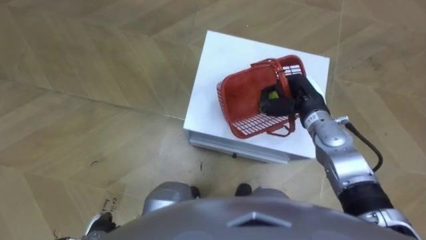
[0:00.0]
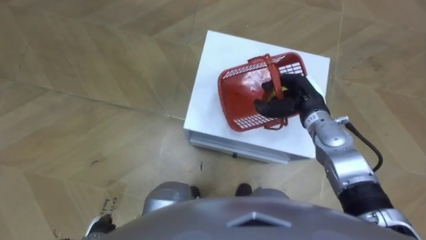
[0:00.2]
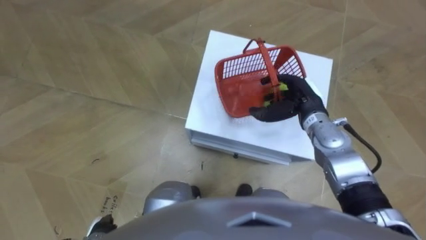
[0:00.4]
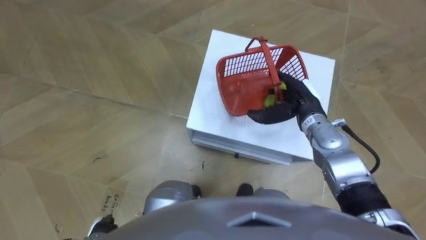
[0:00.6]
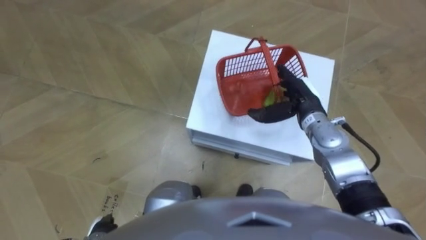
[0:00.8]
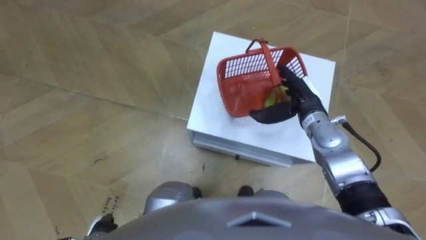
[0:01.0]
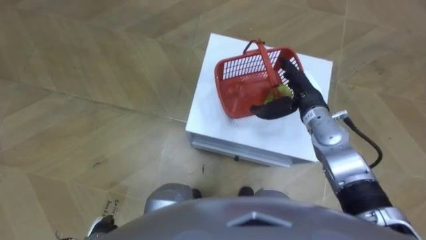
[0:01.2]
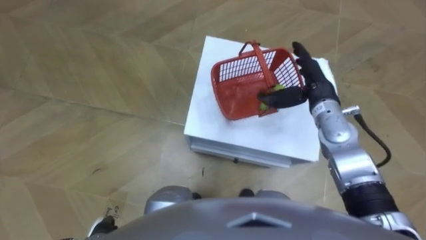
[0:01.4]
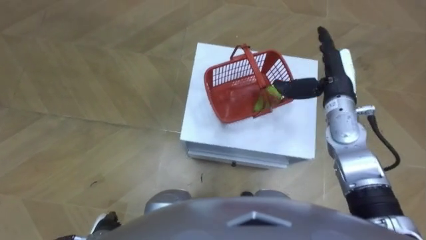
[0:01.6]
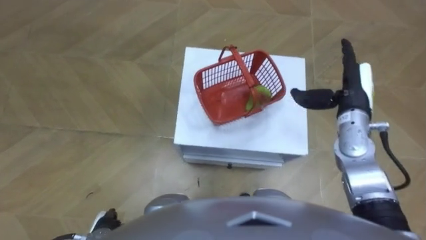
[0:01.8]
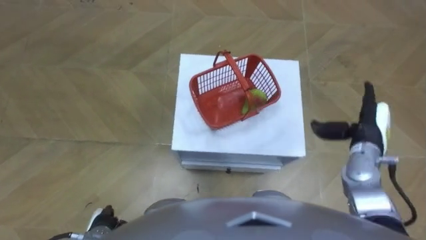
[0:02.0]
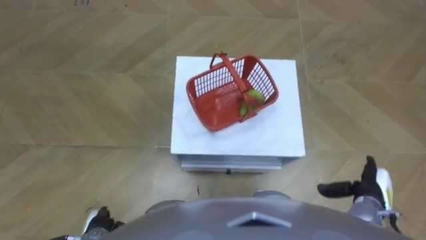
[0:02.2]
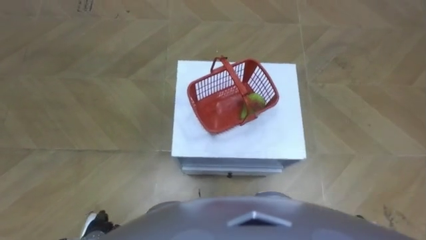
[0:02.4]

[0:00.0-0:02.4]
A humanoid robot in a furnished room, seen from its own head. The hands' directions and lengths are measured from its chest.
Task of the whole recording: Pick up the fruit basket from the floor and place it on the cabinet.
0:00.0 to 0:01.2: The right hand opens up.
0:01.2 to 0:02.4: The right hand moves backward, to the right and downward, approximately 35 cm.

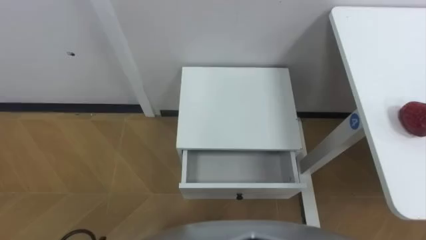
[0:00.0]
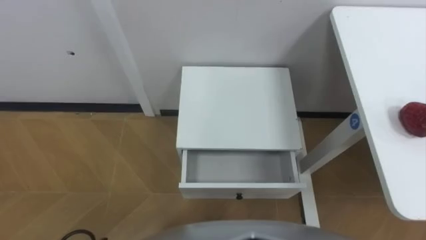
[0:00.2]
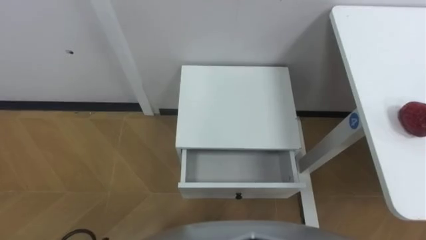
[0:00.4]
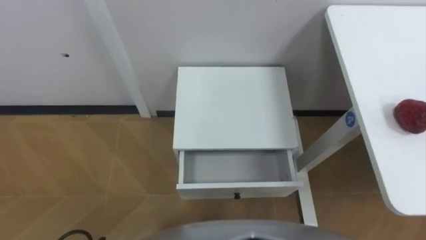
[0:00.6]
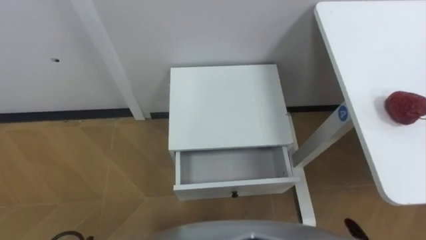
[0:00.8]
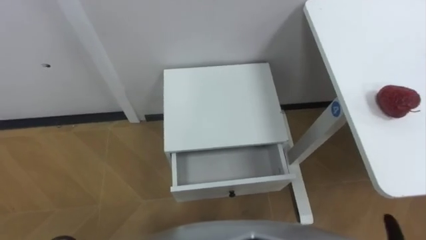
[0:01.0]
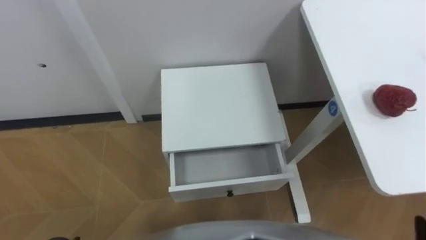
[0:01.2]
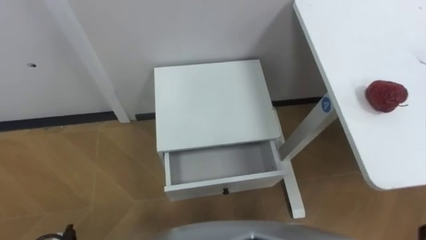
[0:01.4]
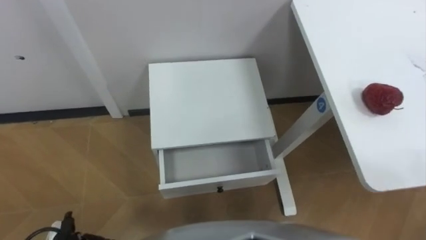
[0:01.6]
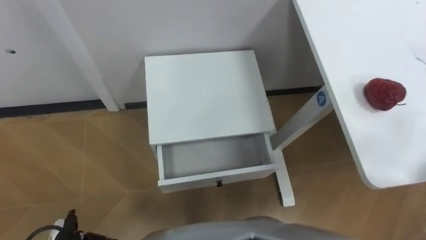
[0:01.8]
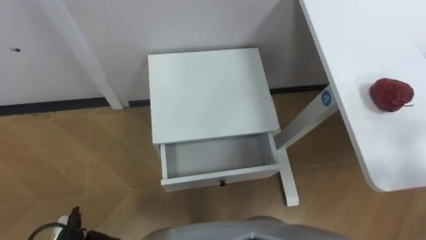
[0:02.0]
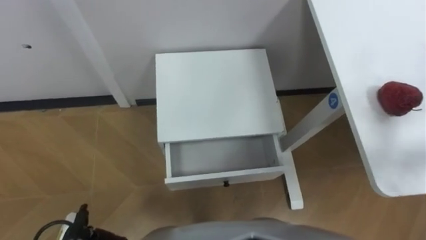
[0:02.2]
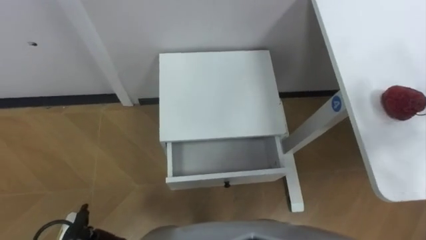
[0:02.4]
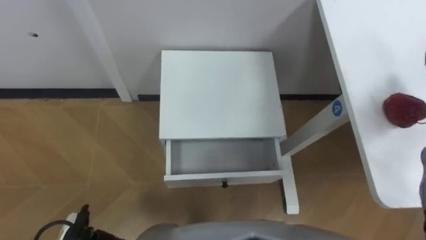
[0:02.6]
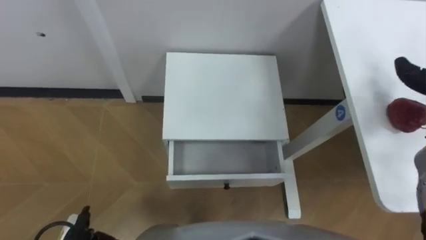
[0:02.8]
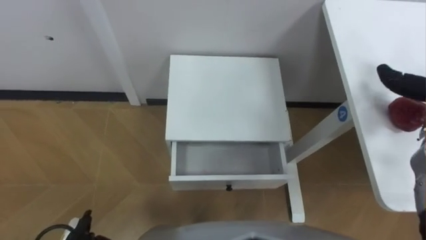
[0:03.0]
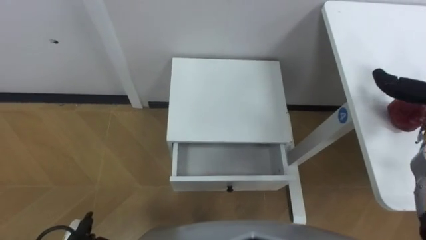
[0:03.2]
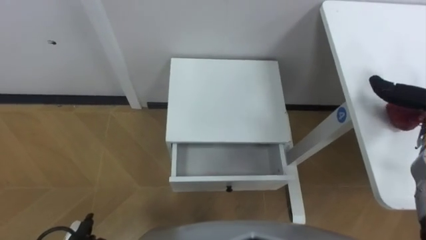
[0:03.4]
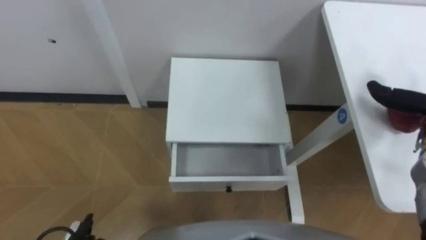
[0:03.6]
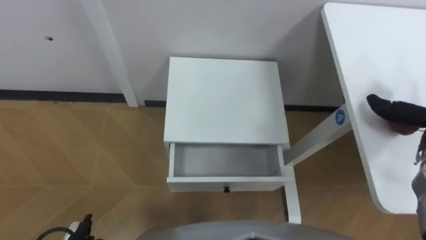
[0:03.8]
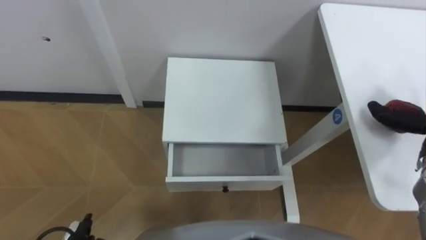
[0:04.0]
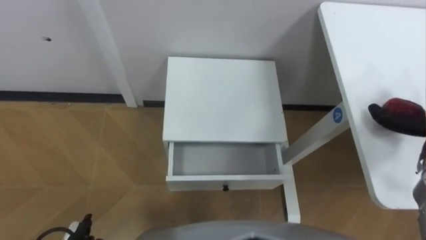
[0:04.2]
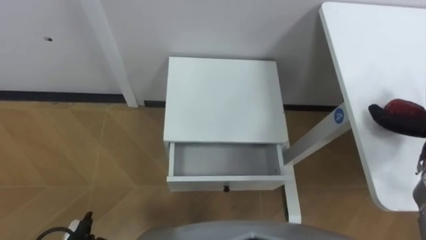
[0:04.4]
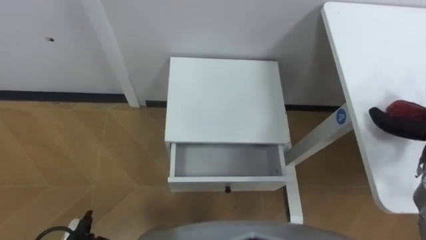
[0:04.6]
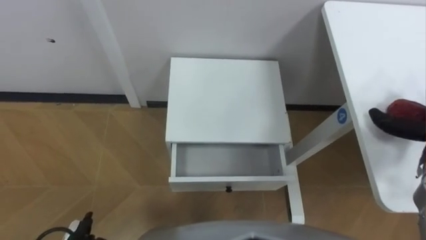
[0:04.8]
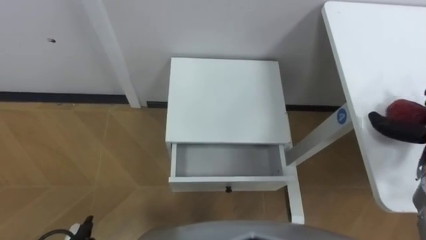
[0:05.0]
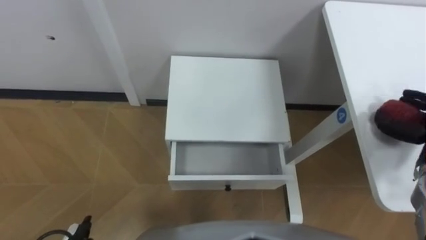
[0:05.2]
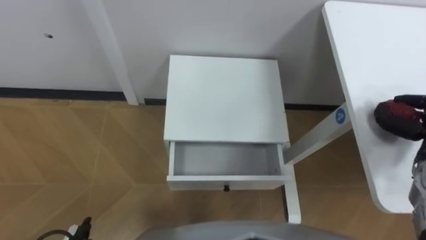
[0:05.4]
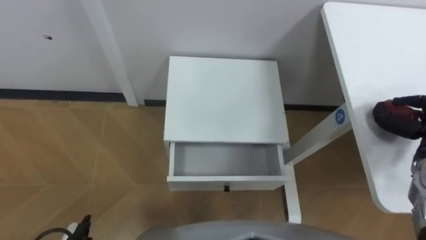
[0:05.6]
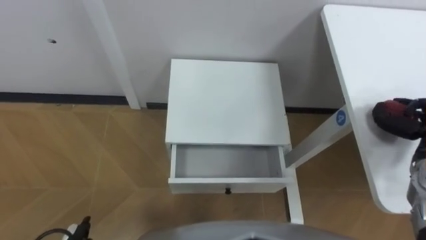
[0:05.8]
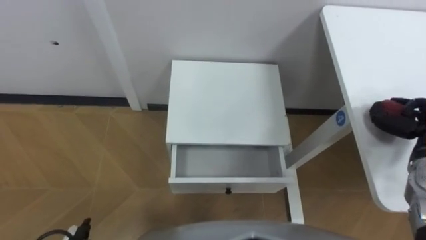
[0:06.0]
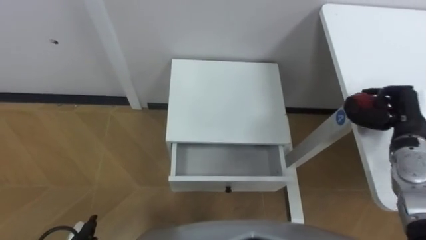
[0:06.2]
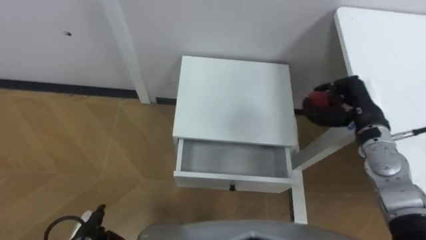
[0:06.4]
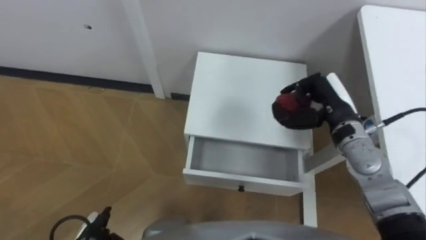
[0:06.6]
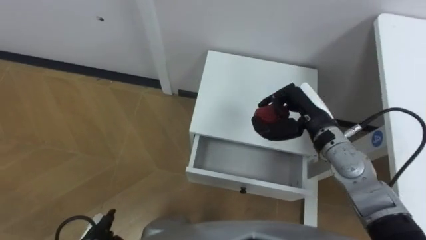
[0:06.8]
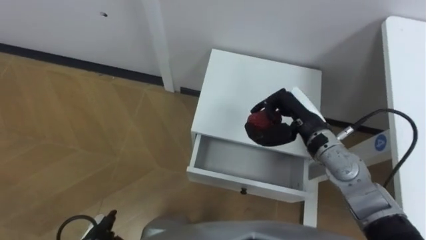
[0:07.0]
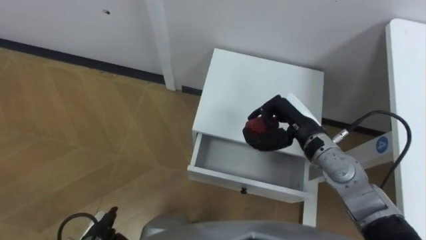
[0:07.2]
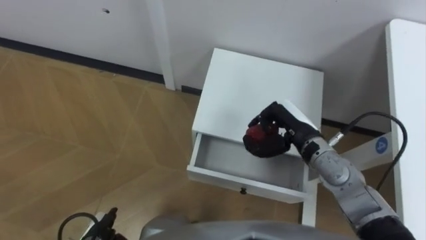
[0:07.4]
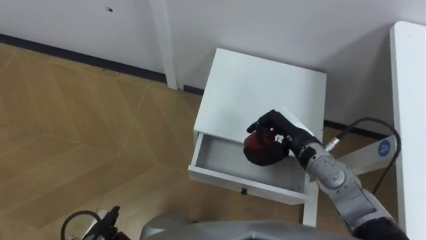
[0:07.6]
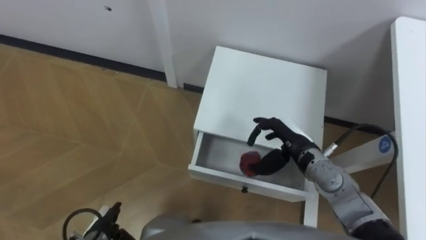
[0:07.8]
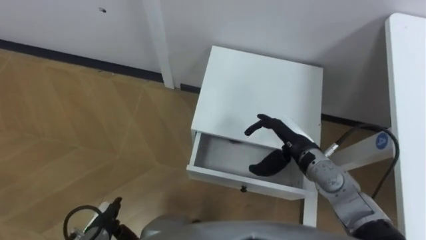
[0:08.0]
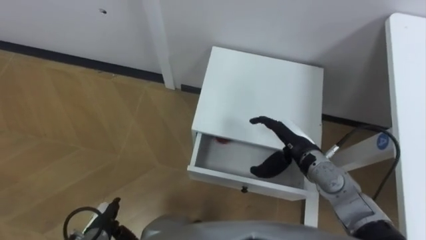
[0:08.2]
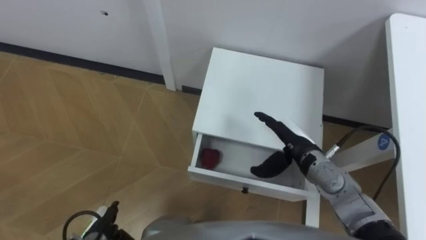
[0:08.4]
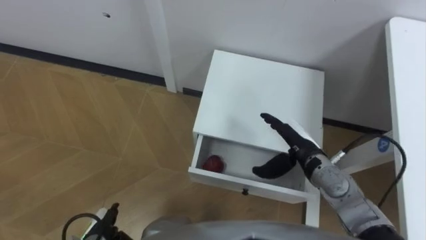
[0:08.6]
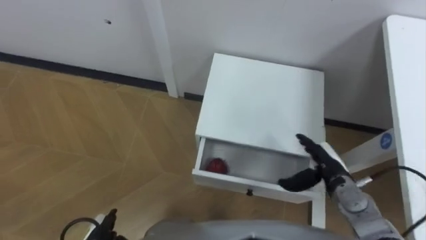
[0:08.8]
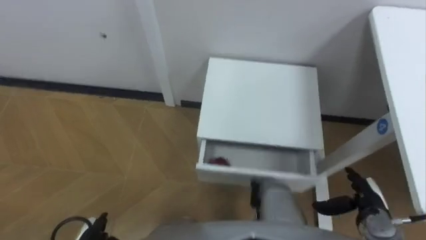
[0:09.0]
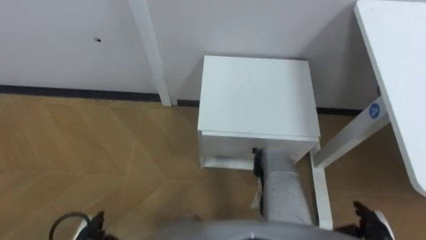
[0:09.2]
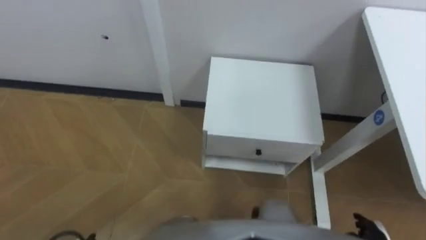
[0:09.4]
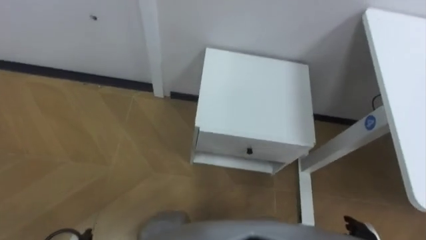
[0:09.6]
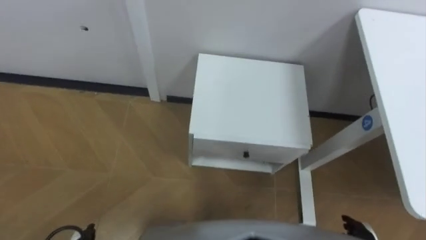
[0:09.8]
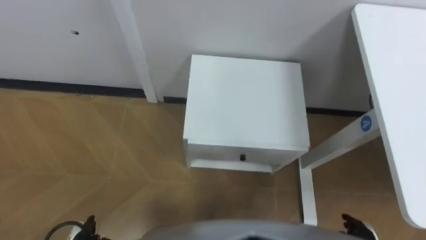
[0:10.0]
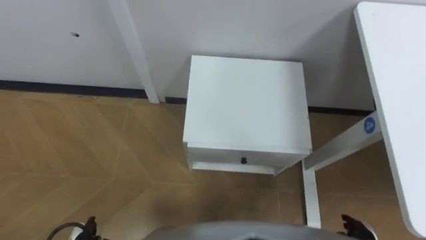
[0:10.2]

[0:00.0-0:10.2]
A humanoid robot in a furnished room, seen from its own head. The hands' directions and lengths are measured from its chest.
Task of the whole recording: Pick up the apple from the table, put it in the drawer, and close the drawer with leg.
0:07.2 to 0:08.8: The right hand travels downward, to the right and backward by about 15 cm, and opens up.
0:08.8 to 0:10.2: The right hand is displaced backward, downward and to the right by some 20 cm.

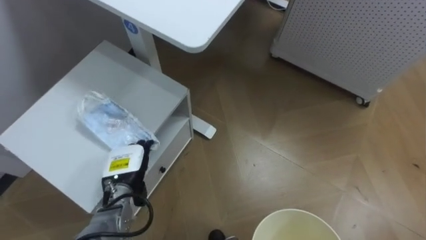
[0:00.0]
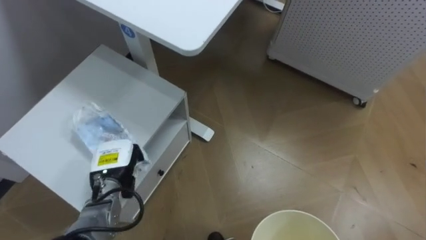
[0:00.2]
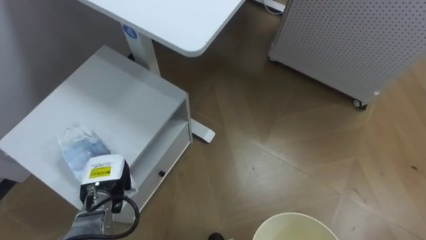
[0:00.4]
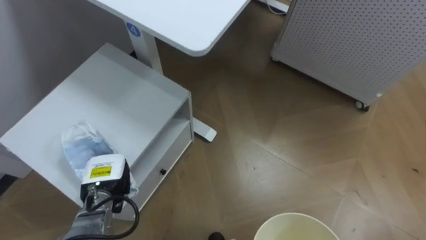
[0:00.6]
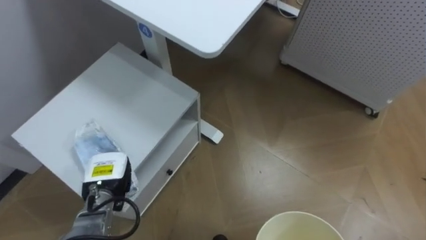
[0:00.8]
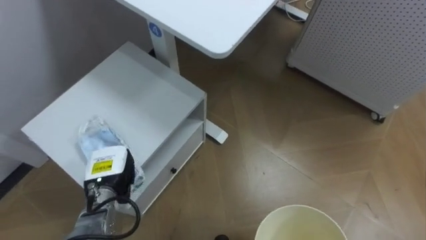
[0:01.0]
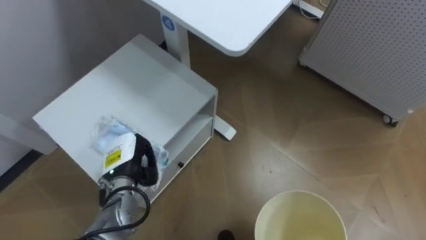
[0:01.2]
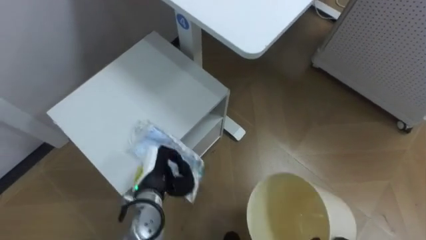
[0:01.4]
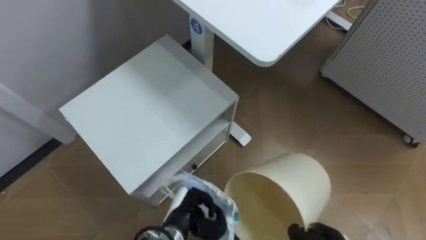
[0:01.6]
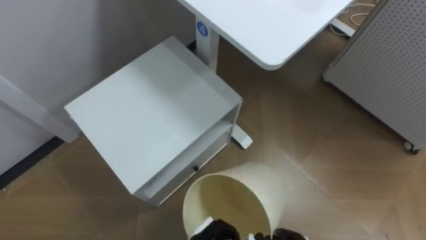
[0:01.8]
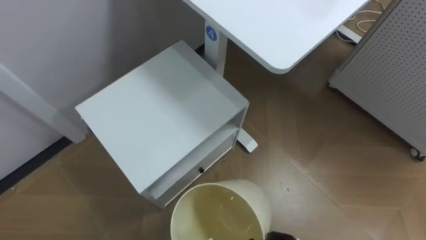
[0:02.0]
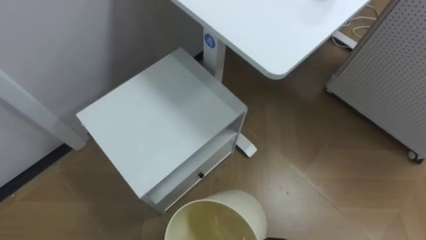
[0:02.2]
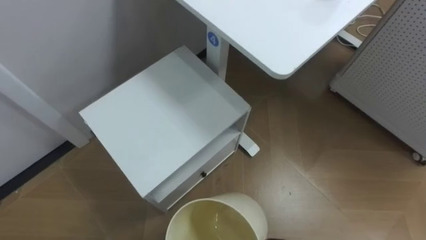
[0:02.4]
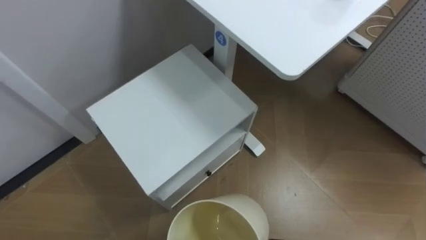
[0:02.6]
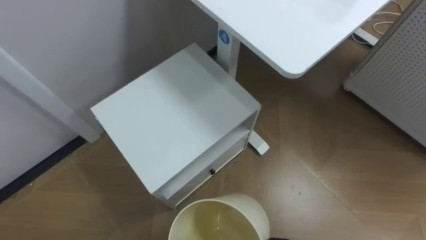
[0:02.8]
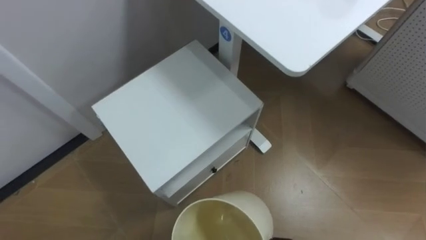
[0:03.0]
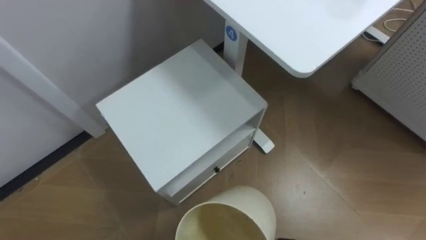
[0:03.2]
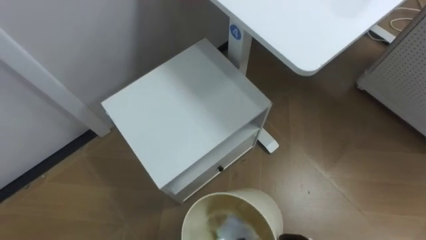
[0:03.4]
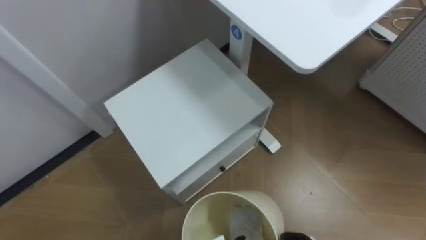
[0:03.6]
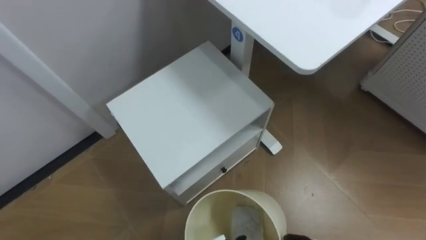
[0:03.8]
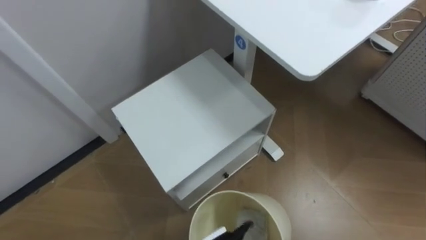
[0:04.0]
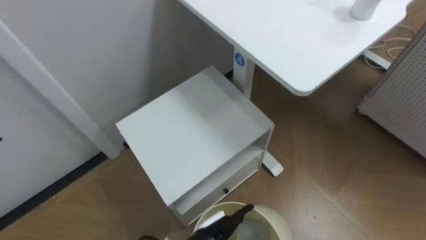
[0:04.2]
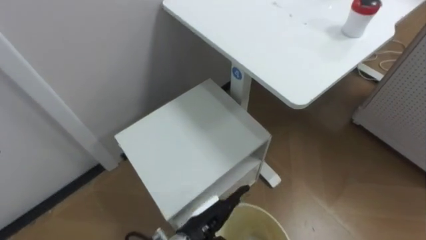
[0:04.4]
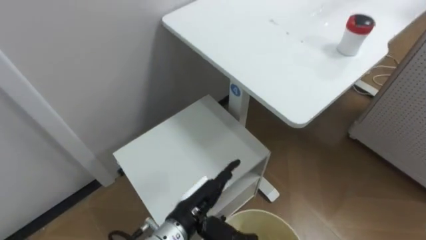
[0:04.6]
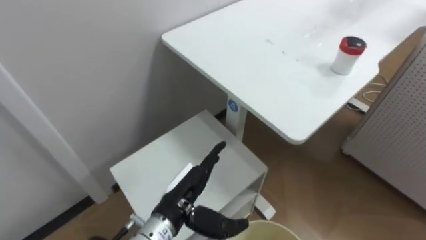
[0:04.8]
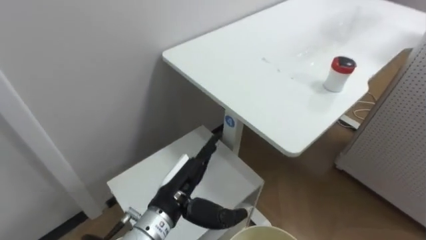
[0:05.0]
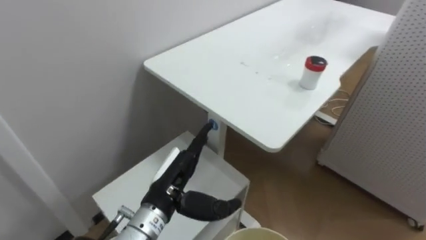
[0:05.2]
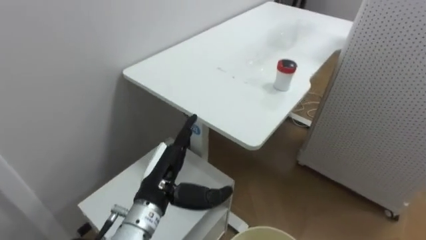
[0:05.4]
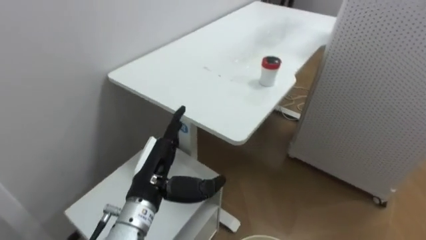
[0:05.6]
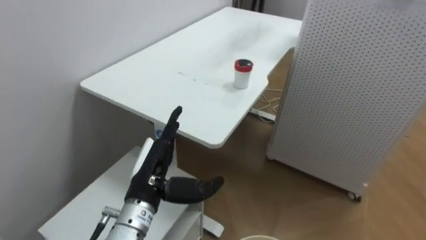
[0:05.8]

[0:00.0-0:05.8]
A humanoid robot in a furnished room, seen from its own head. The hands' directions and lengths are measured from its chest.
Task of the whole recording: Pick up the light blue package, the candy box, and the dark blue package separately, and put them into the trash can held in your right hand.
0:00.0 to 0:01.4: The left hand shifts roughly 5 cm to the right, and closes up.
0:04.4 to 0:05.8: The robot faces roughly 20 degrees further to its right. The left hand heads upward and to the left, covering about 15 cm.
